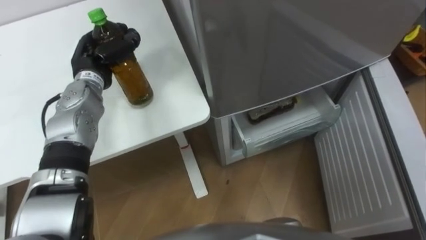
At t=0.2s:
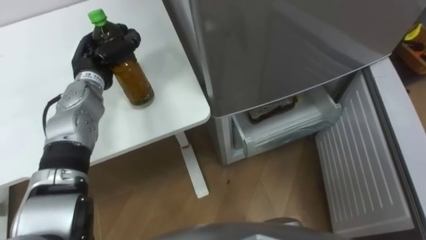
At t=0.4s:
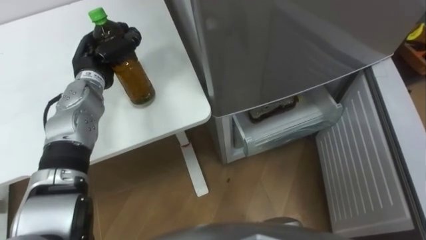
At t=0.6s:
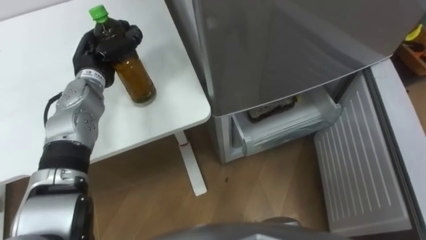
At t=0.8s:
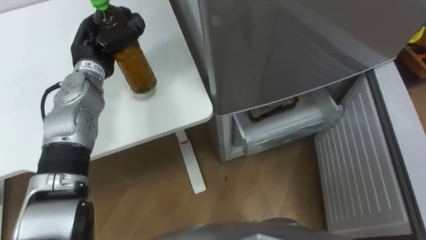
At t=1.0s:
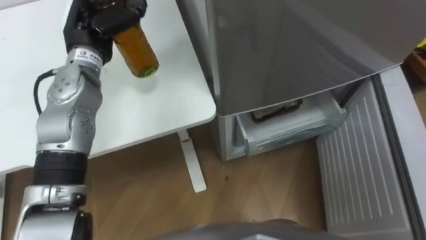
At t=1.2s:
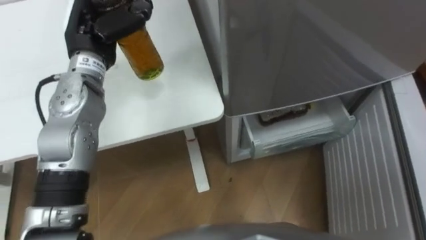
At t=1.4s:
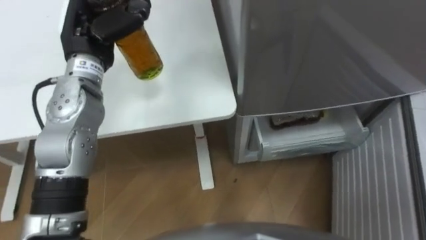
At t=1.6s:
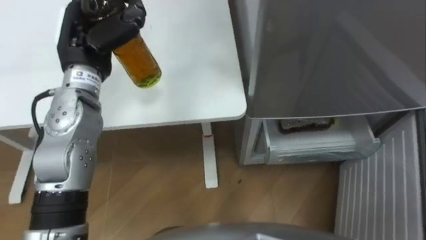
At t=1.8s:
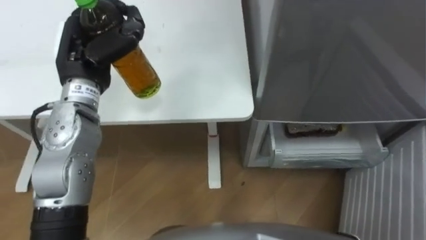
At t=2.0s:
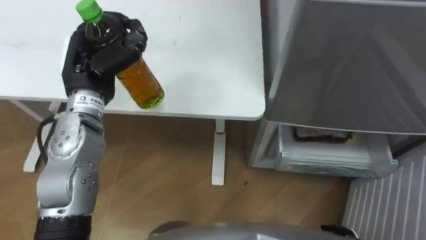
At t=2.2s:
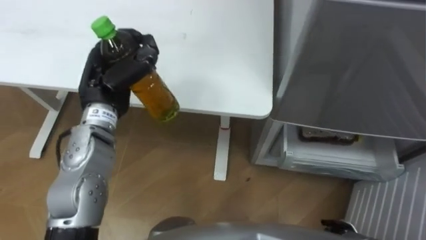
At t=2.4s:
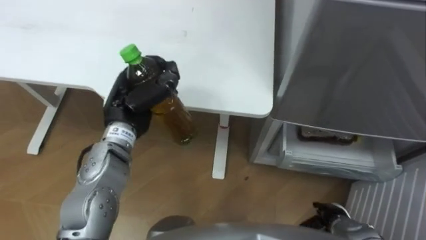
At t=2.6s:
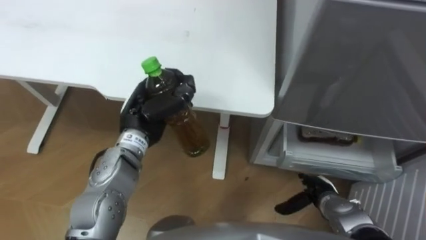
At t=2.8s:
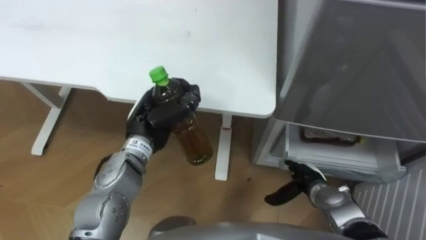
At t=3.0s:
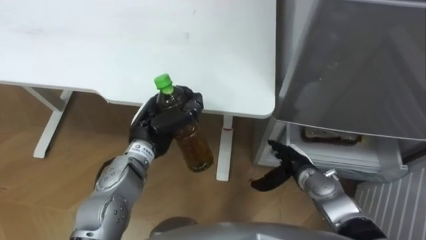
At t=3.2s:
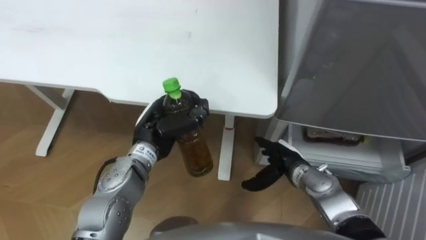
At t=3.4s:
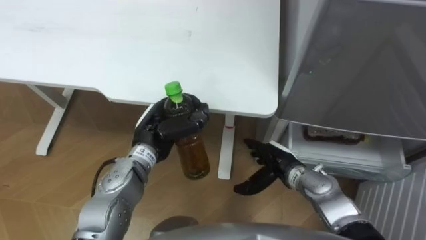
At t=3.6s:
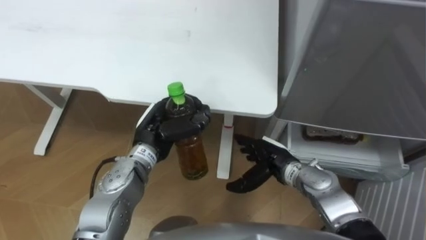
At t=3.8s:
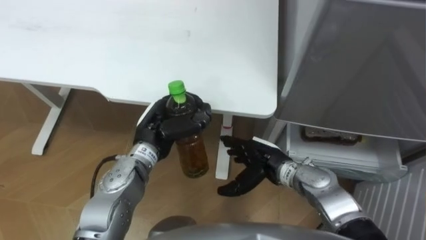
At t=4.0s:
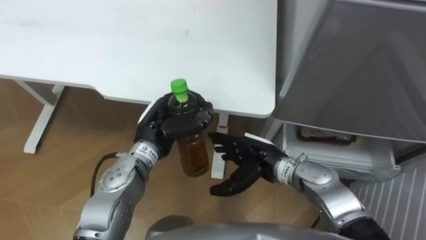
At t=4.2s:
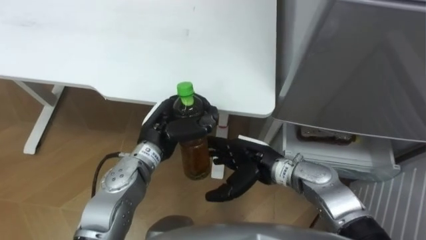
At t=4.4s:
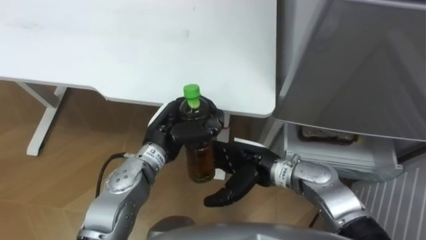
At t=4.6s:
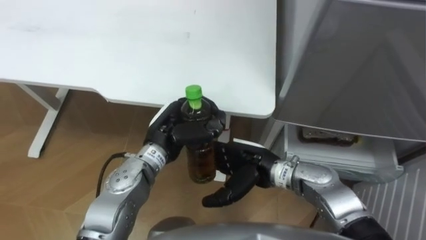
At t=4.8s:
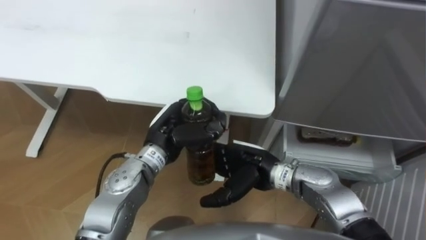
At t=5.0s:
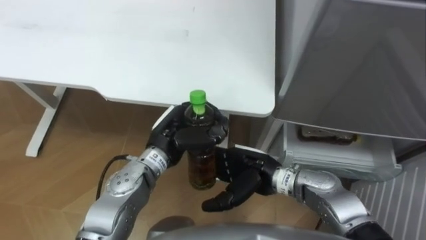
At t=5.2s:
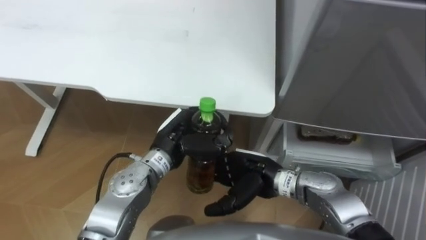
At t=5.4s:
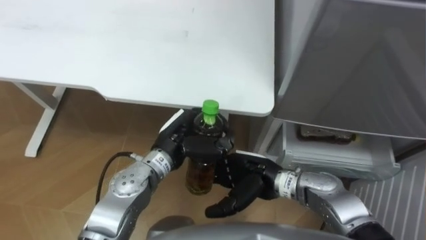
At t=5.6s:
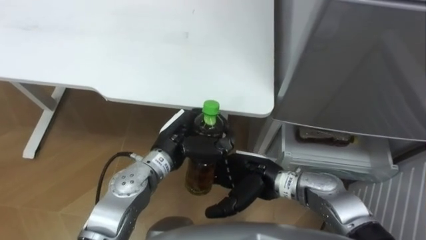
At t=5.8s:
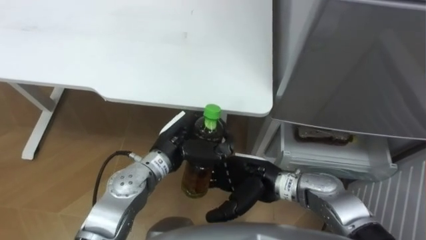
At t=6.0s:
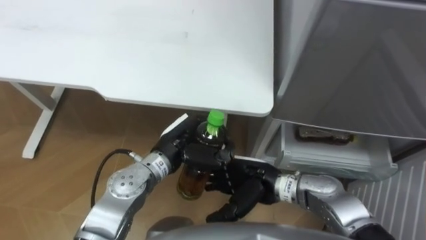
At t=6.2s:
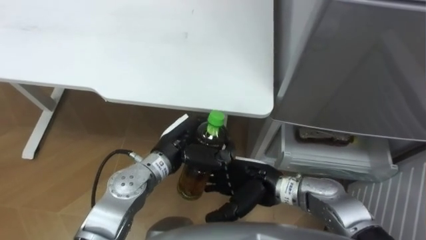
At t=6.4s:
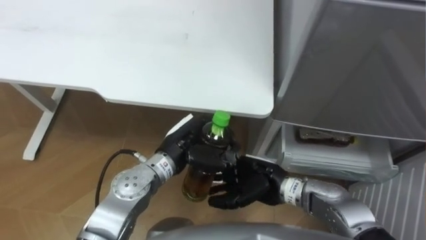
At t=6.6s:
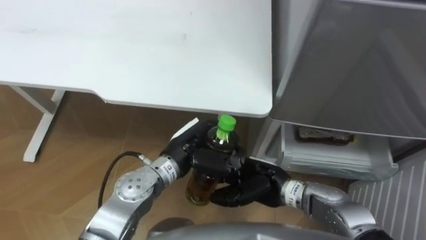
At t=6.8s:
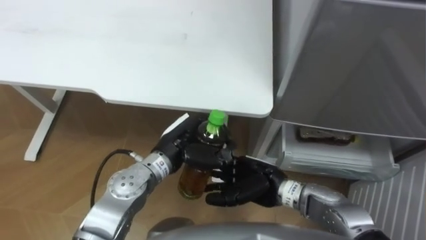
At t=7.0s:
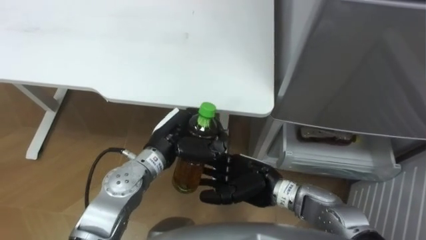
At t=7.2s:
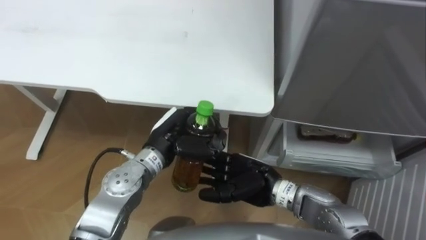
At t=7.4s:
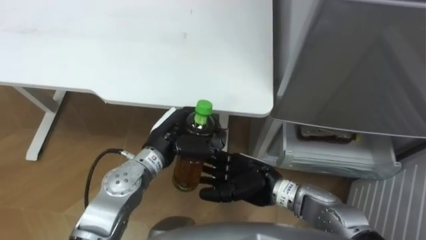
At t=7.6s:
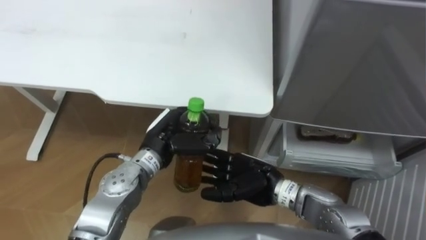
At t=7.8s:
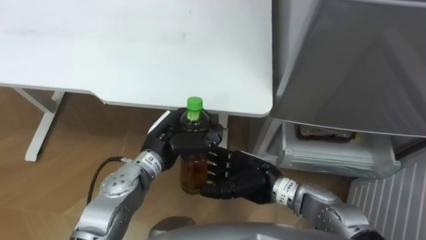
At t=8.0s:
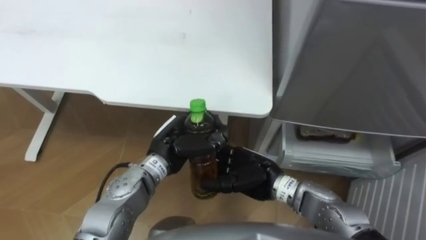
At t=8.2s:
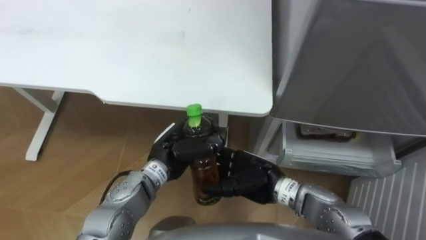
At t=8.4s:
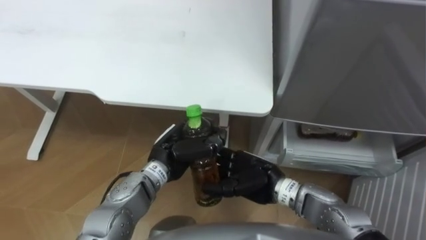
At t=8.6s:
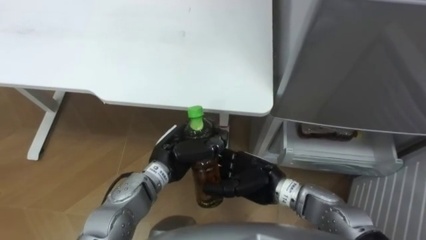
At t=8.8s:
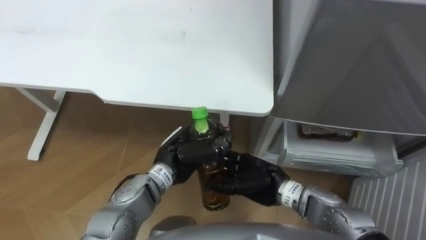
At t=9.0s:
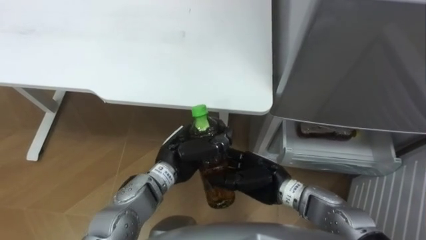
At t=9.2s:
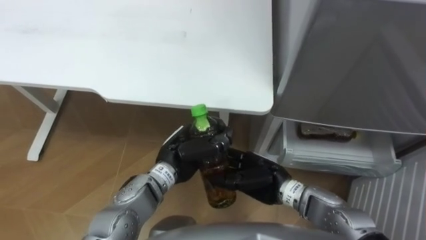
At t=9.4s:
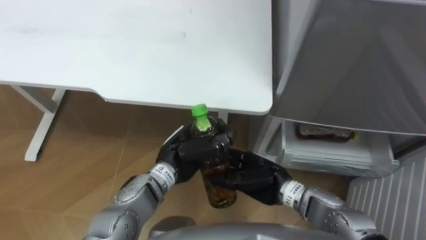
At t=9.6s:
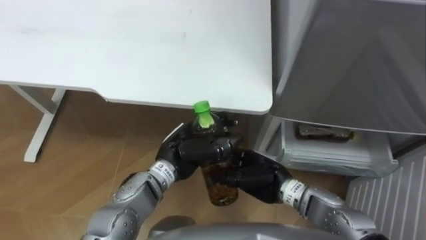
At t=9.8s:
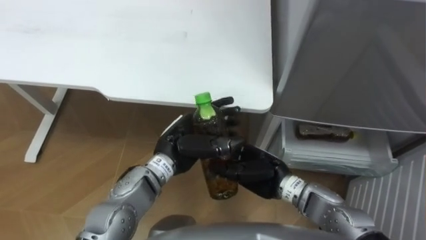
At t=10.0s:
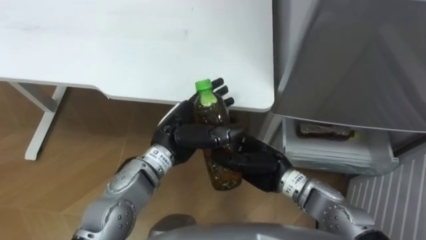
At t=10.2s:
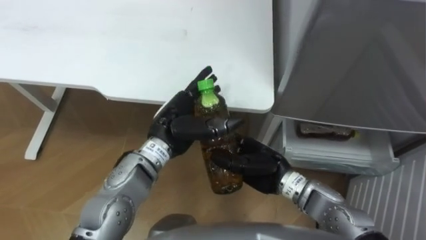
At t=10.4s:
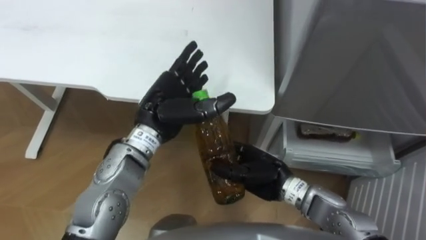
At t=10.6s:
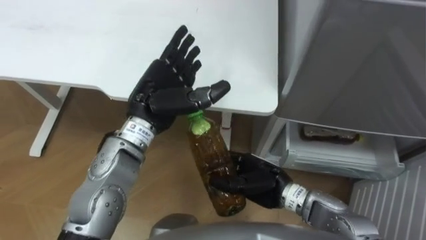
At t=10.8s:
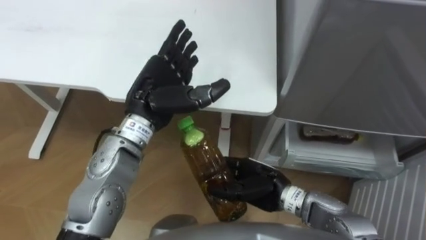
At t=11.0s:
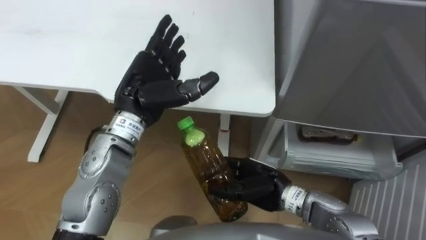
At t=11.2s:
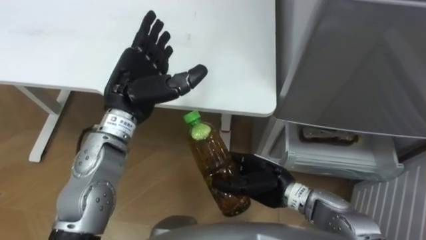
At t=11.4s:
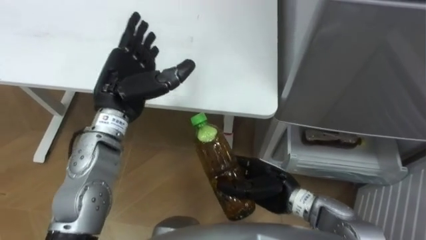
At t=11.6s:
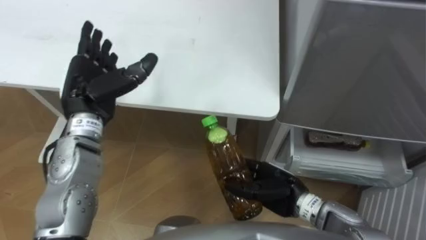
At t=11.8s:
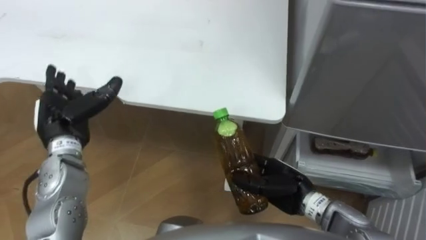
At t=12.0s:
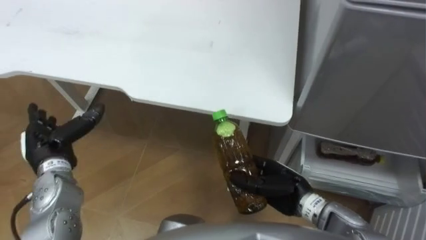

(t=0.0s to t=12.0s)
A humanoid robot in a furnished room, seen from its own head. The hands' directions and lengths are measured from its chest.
Task of the whole recording: Place the drink on the table on the bottom shelf of the refrigerator, then close the drawer and the refrigerator door.
t=0.0s - t=1.6s: The left hand moves upward, roughly 10 cm.
t=1.6s - t=3.0s: The left hand shifts about 20 cm downward, to the right and backward.
t=3.0s - t=4.4s: The right hand is displaced to the left and upward by roughly 15 cm.
t=7.6s - t=9.0s: The right hand closes its fingers.
t=9.0s - t=10.4s: The left hand travels upward by approximately 10 cm, and opens up.
t=10.4s - t=12.0s: The left hand is displaced to the left by approximately 20 cm, while the right hand heads to the right, covering approximately 5 cm.

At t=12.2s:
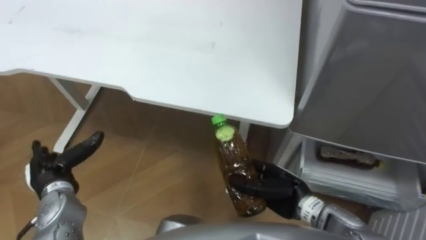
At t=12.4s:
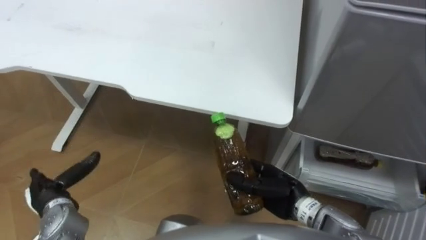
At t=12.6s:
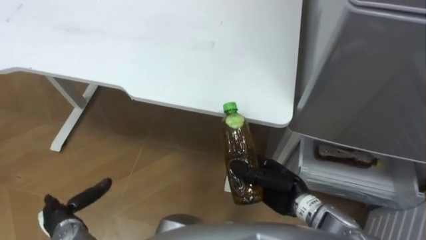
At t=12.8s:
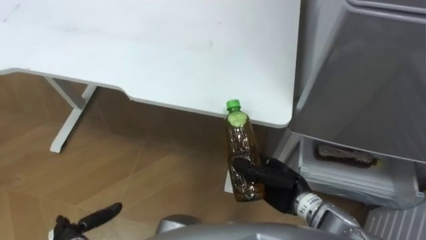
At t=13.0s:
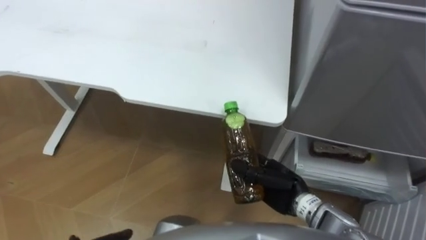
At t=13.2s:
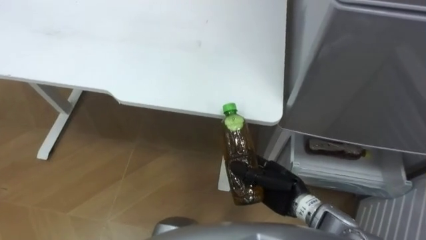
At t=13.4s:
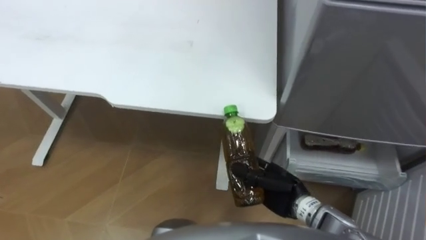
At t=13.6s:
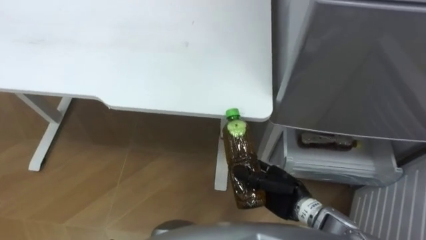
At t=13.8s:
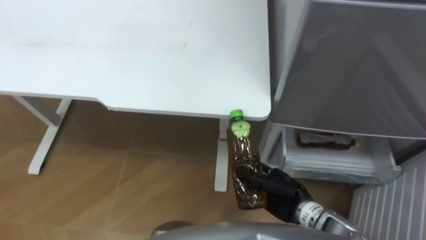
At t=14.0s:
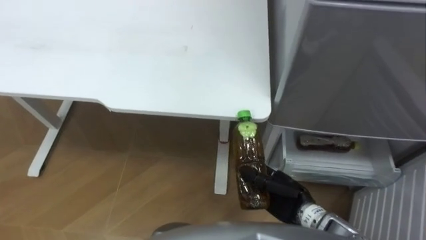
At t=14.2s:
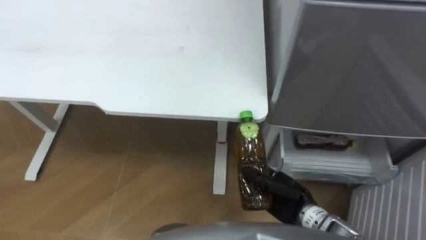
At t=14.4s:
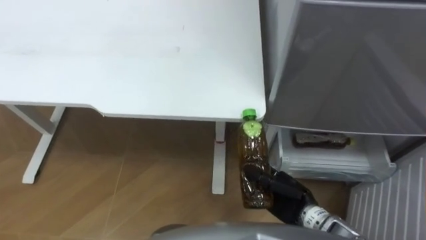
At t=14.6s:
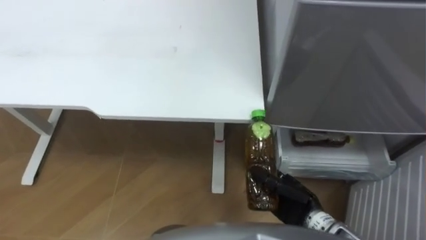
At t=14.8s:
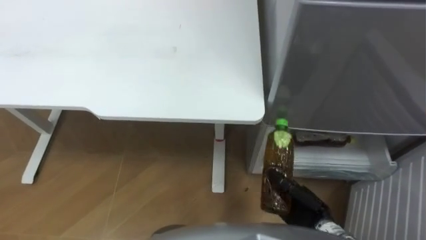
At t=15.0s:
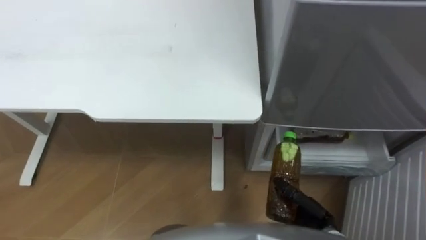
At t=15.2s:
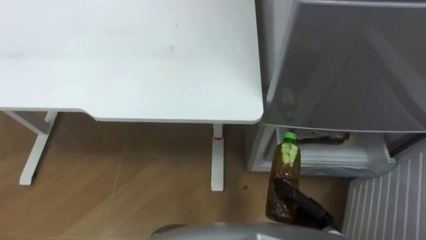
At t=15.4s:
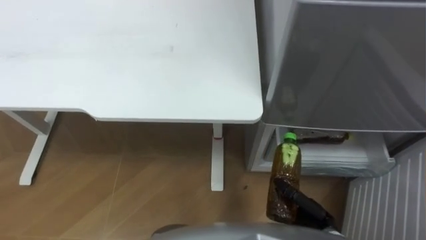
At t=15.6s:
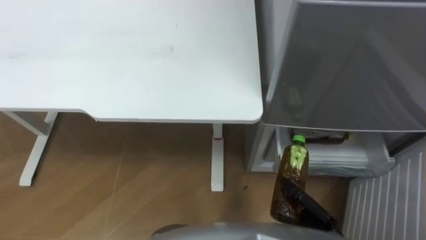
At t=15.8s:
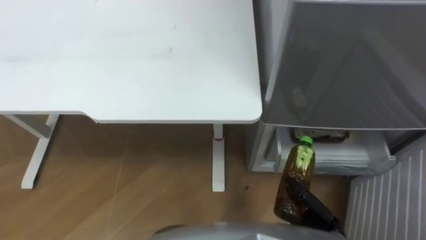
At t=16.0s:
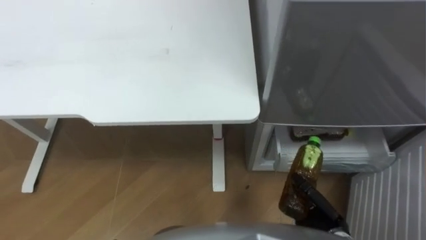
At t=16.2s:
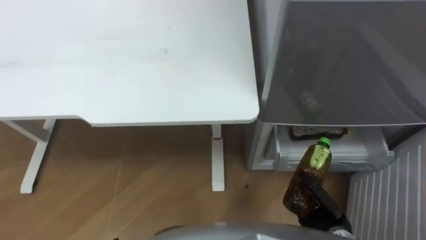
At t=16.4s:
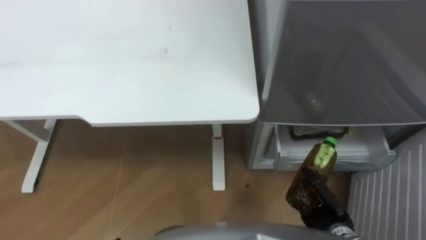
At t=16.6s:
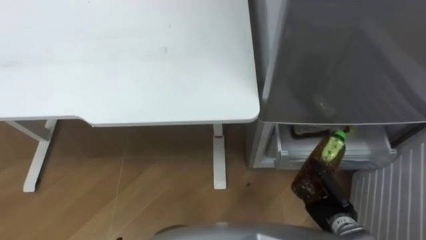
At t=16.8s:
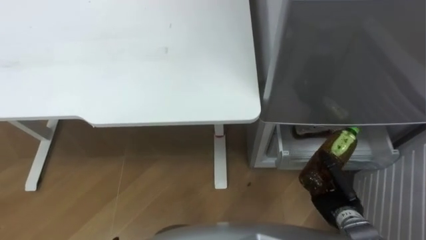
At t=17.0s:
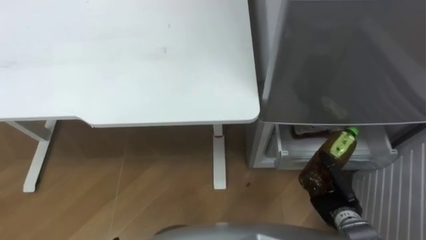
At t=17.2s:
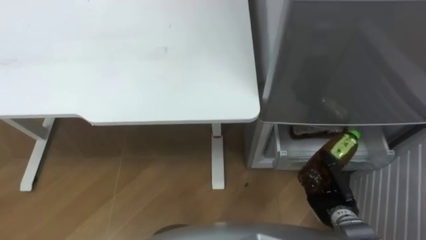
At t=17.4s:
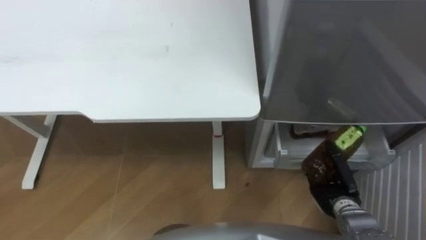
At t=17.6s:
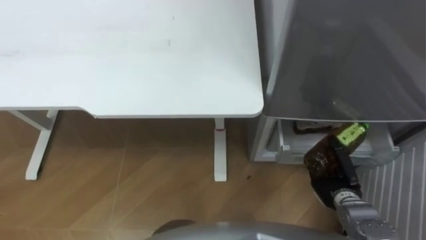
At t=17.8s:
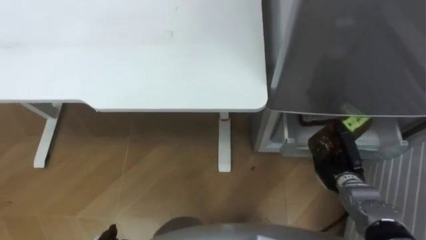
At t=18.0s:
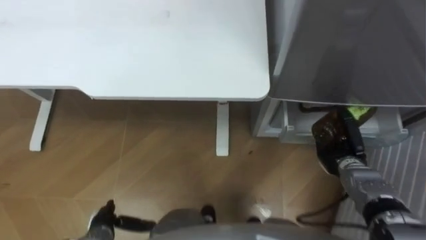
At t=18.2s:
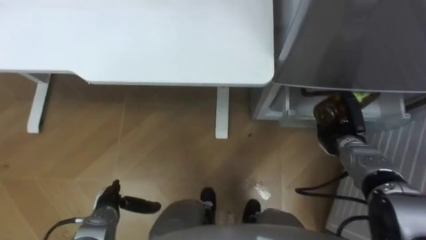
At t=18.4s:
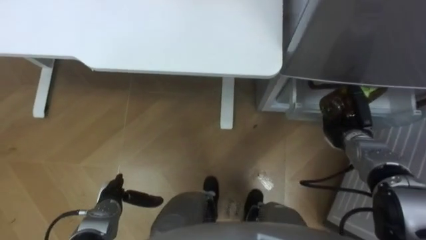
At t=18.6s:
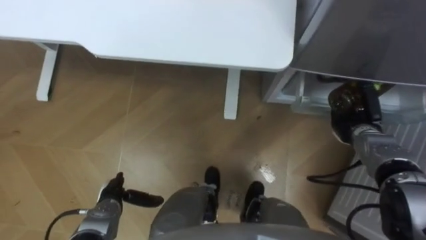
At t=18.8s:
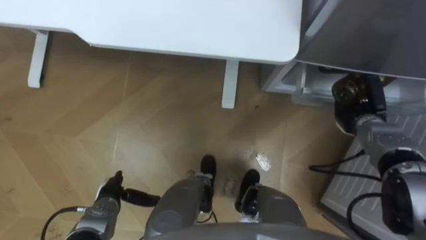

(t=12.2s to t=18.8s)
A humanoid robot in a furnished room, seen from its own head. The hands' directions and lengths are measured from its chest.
Task of the whole recording: Place the drink on the table on the bottom shelf of the refrigerator, then close the drawer and the refrigerator door.
t=13.8s - t=15.4s: The right hand goes some 10 cm to the right and backward.
t=15.4s - t=17.2s: The right hand heads to the right, covering about 5 cm.
t=17.2s - t=18.8s: The right hand travels forward and upward by approximately 20 cm.
